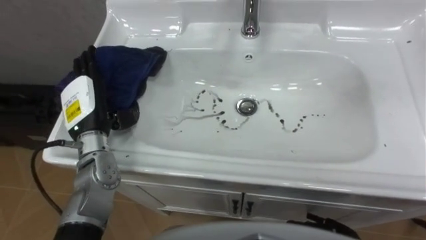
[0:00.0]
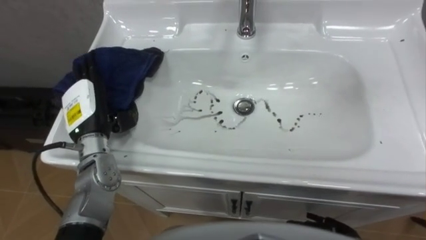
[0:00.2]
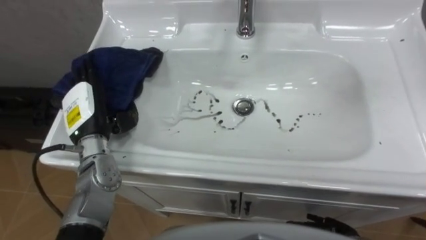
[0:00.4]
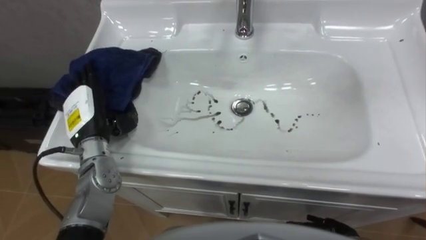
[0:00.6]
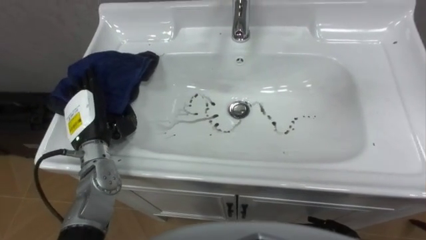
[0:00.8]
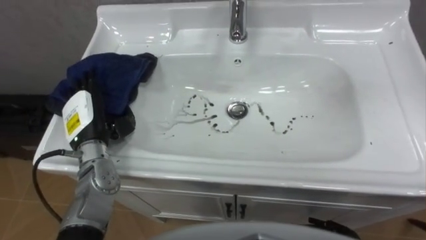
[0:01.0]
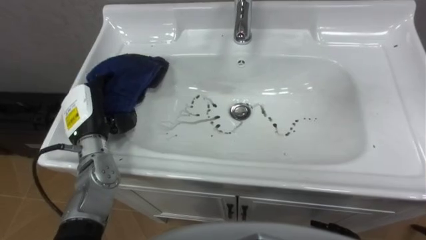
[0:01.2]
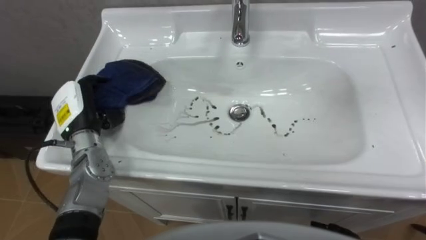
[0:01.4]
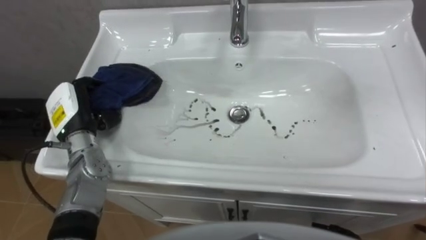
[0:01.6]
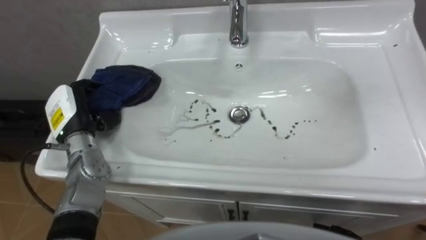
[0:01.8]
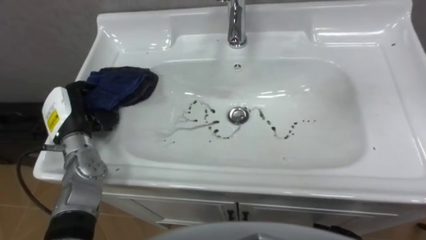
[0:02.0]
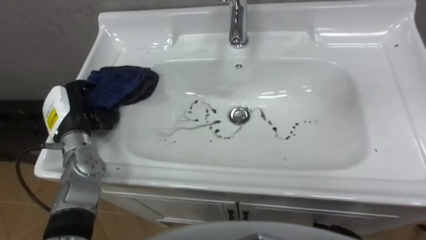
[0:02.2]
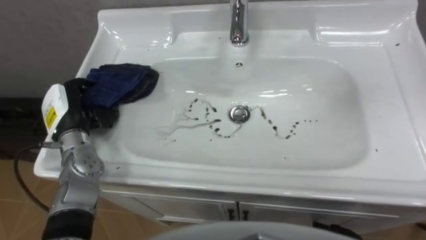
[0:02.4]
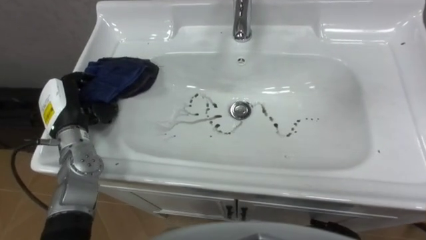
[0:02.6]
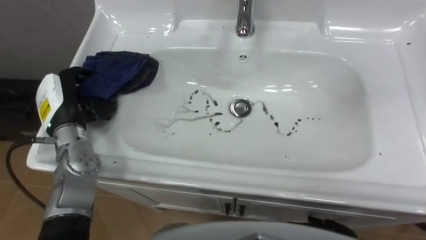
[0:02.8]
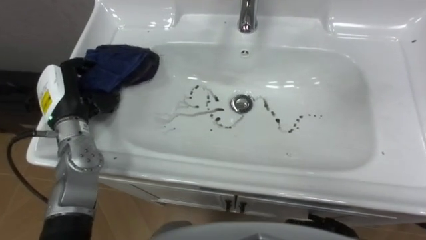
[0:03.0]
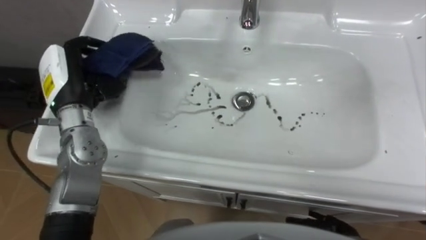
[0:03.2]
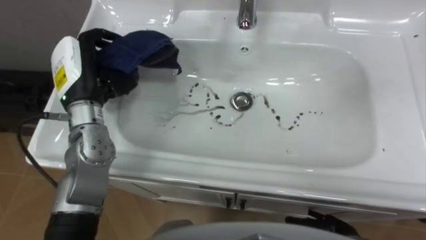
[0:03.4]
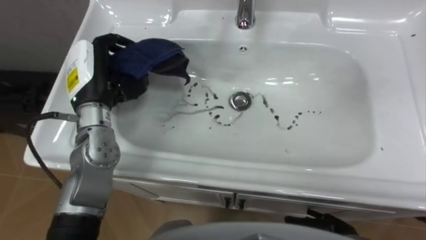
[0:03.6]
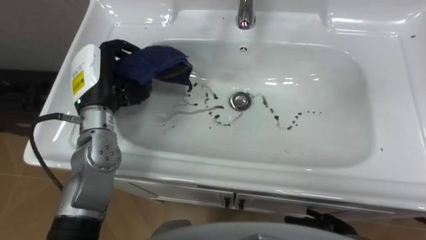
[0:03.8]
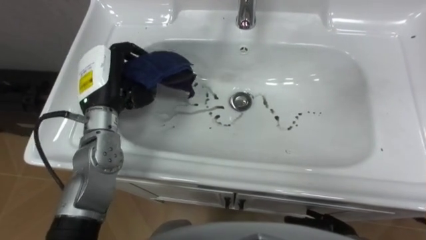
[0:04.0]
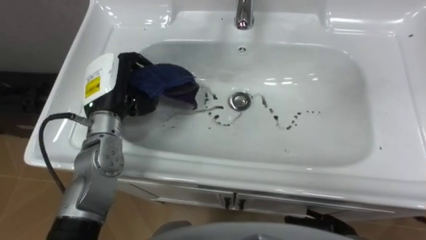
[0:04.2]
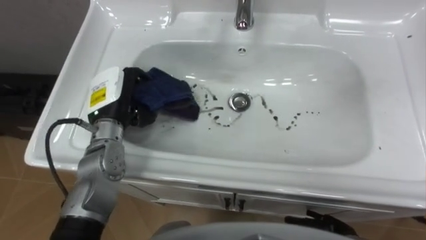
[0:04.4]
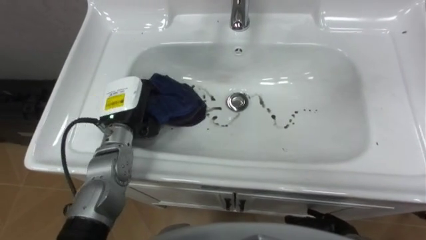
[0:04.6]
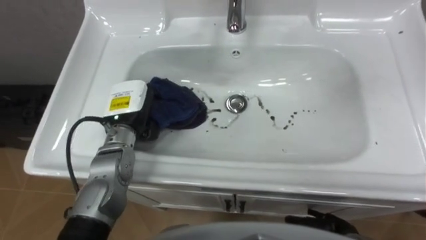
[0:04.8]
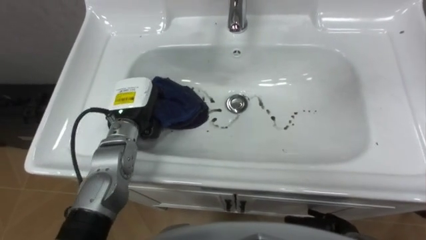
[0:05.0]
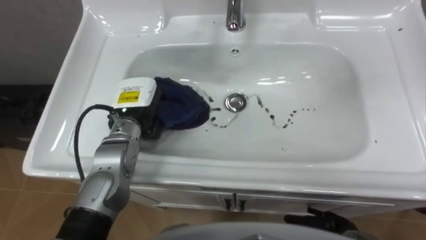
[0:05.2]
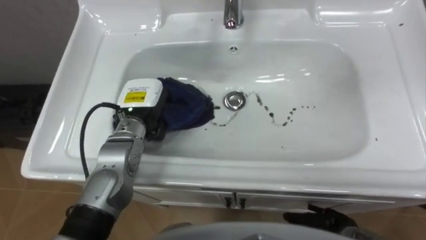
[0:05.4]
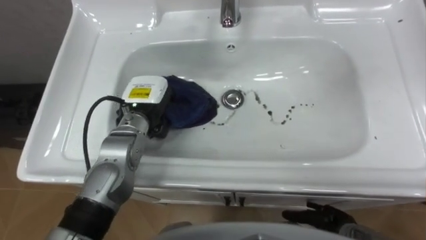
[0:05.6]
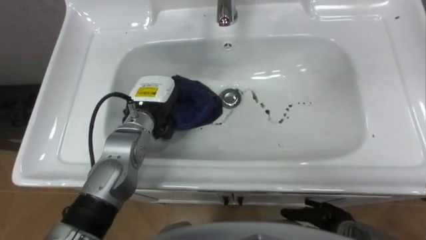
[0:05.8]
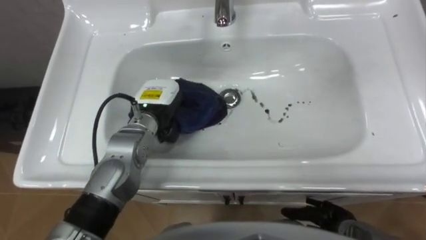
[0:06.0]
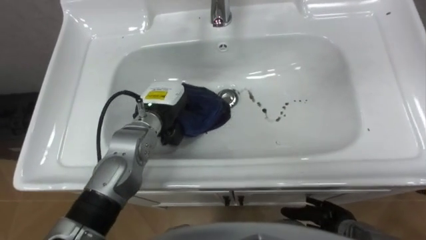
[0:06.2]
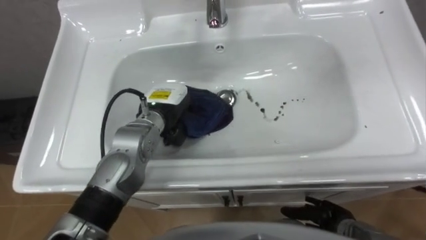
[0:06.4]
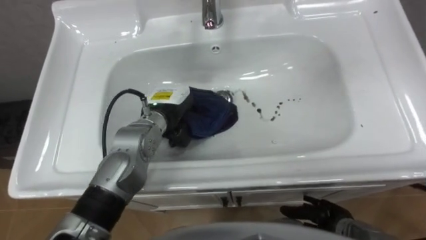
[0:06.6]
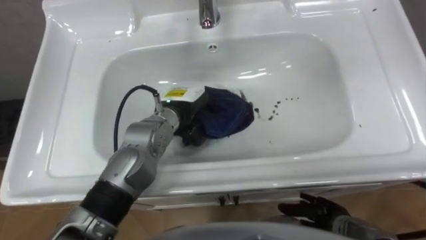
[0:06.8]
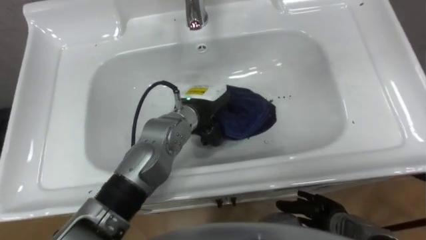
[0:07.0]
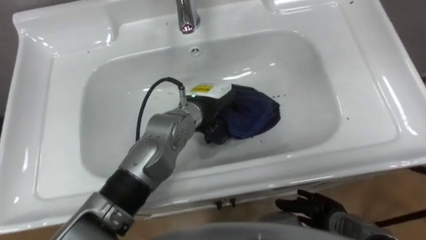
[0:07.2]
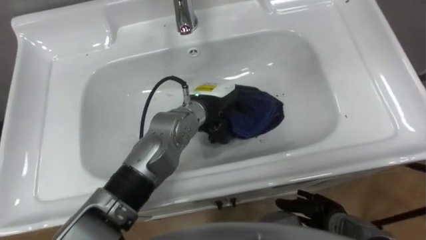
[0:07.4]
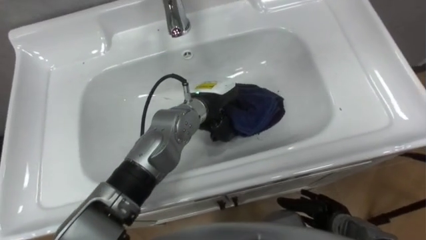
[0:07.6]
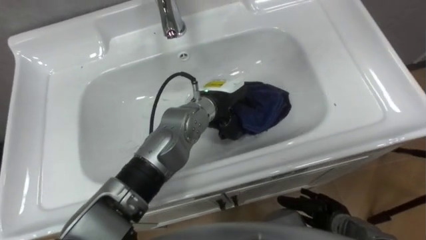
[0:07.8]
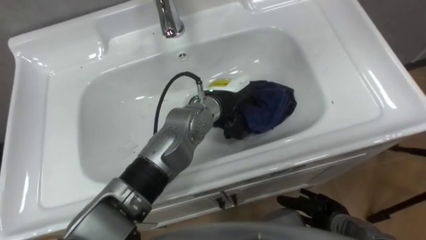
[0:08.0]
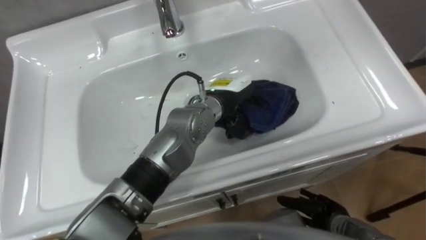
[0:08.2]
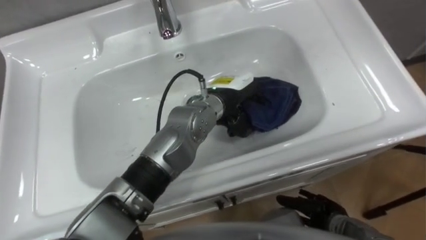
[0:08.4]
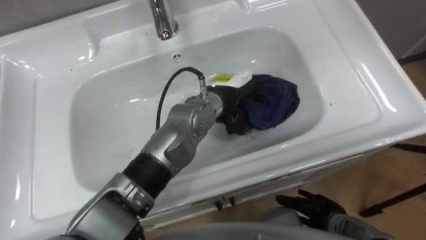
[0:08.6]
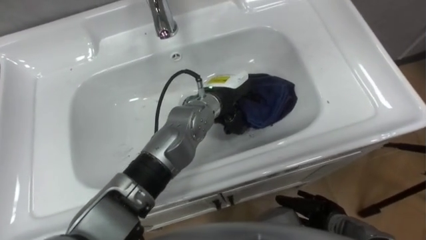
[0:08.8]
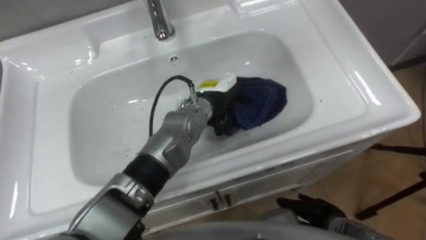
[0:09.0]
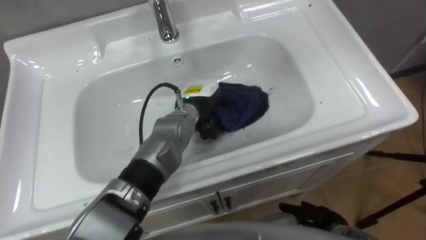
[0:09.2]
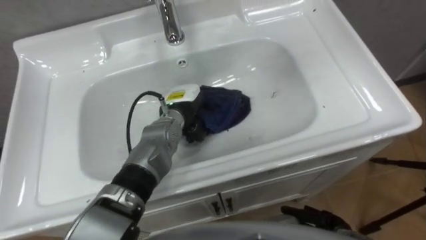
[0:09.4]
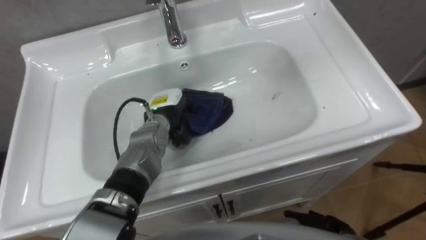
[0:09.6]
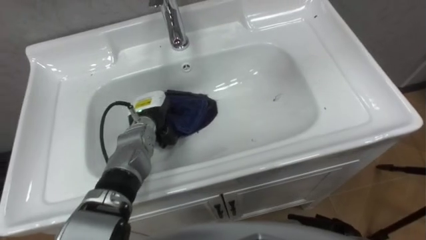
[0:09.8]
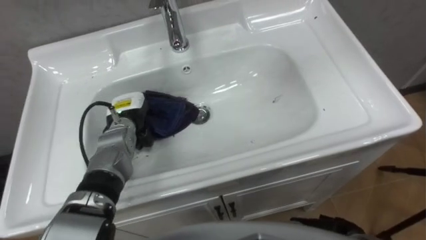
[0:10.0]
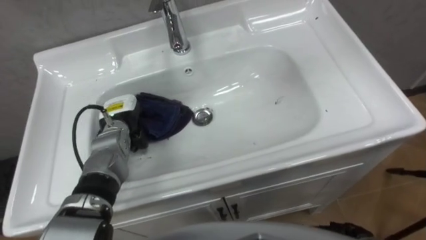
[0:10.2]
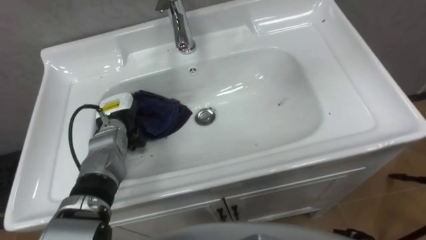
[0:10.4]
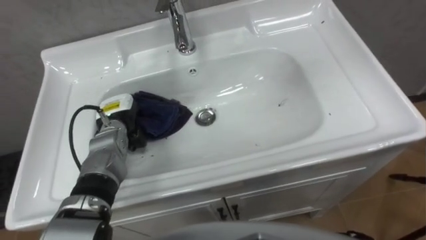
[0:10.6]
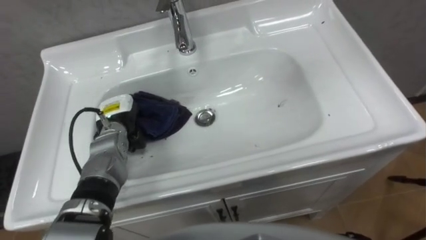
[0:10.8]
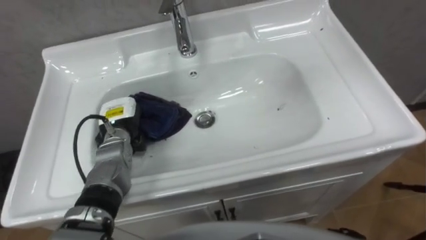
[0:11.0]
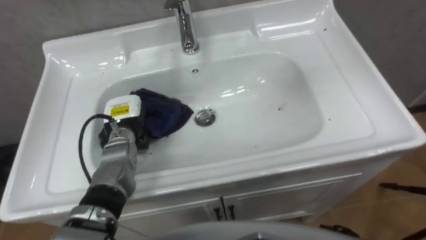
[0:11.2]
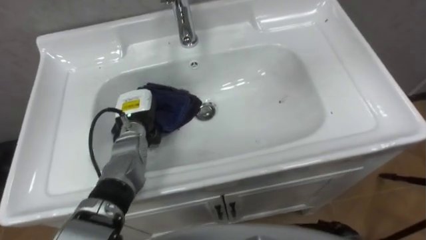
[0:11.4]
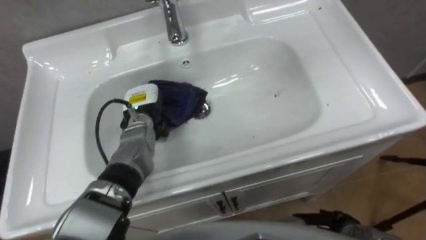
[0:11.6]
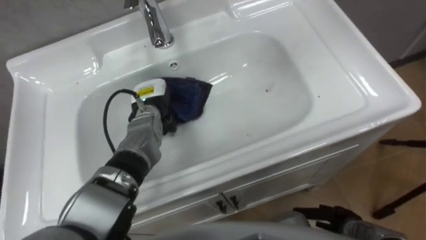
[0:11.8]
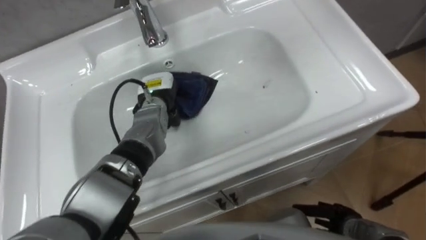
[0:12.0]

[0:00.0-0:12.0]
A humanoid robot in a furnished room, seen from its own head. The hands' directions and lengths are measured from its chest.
Task of the whole recording: Use the cloth on the right to wipe away the black stain in the sink.
0:00.0 to 0:01.6: The left hand closes its fingers.
0:01.6 to 0:03.0: The left hand ends up approximately 5 cm from where it was.
0:03.0 to 0:04.4: The left hand travels to the right by about 10 cm.
0:04.4 to 0:06.0: The left hand goes about 10 cm to the right.
0:06.0 to 0:07.6: The left hand is displaced to the right by some 10 cm.
0:09.0 to 0:10.4: The left hand is displaced to the left by roughly 20 cm.
0:10.4 to 0:12.0: The left hand heads to the right and forward, covering roughly 10 cm.

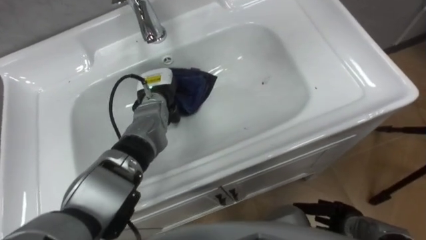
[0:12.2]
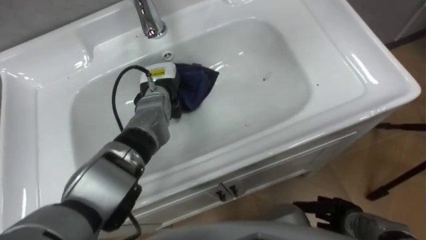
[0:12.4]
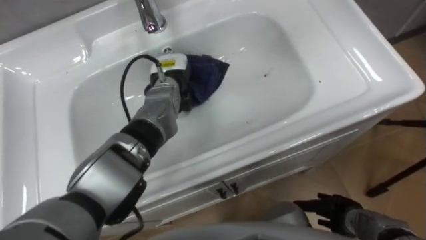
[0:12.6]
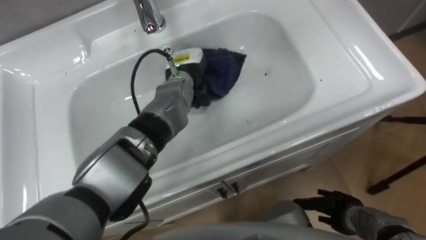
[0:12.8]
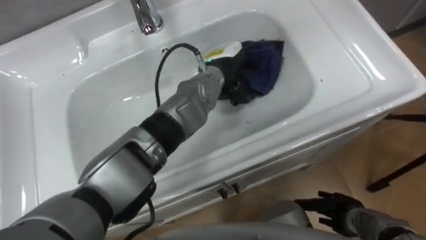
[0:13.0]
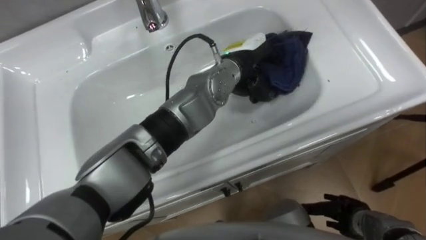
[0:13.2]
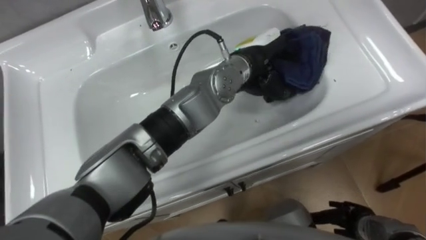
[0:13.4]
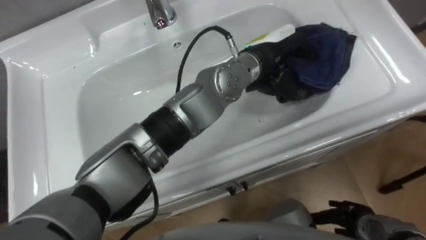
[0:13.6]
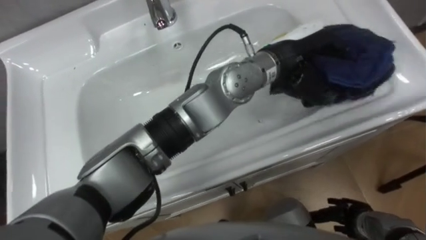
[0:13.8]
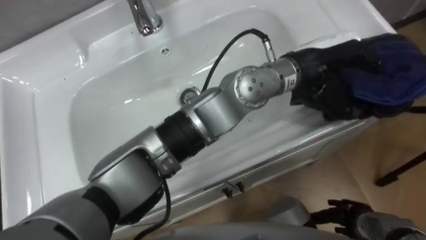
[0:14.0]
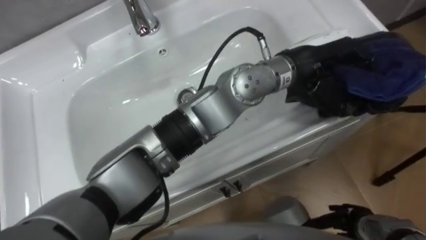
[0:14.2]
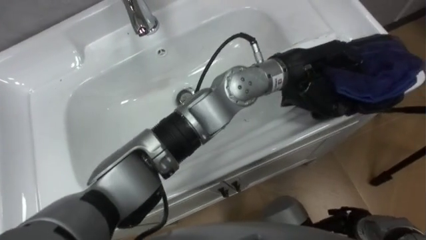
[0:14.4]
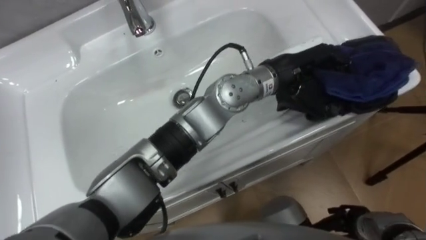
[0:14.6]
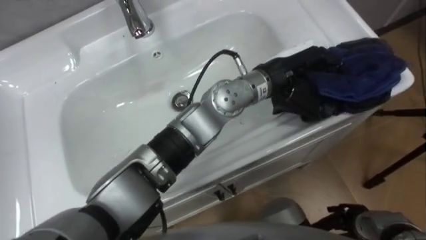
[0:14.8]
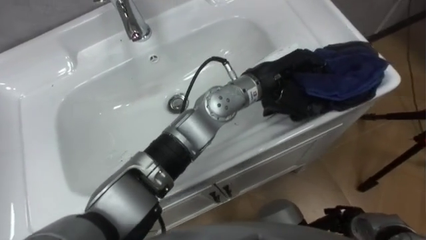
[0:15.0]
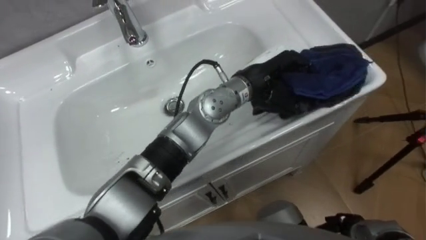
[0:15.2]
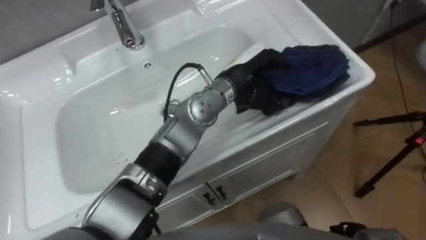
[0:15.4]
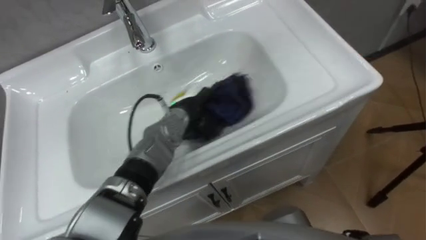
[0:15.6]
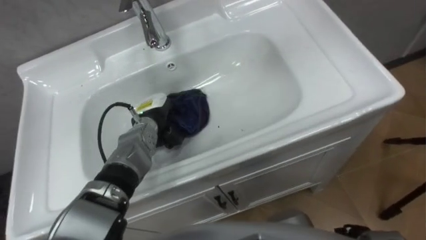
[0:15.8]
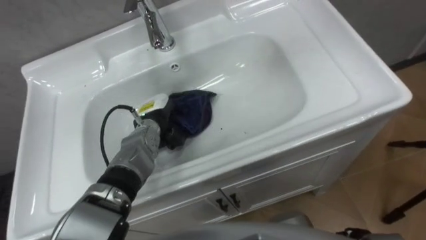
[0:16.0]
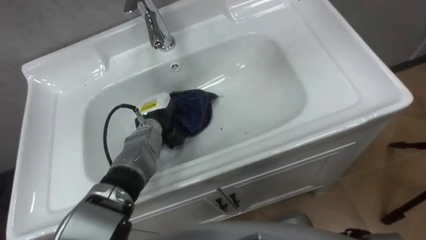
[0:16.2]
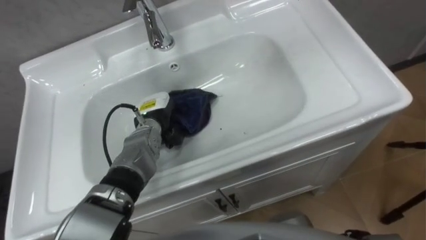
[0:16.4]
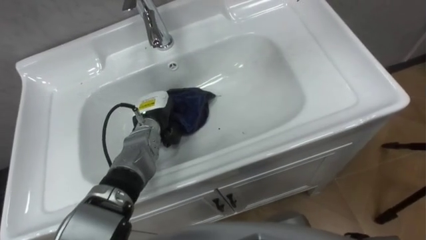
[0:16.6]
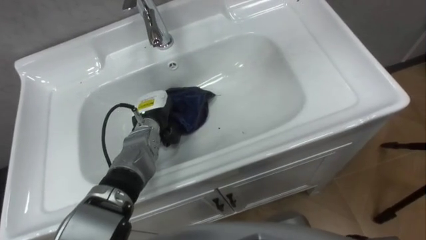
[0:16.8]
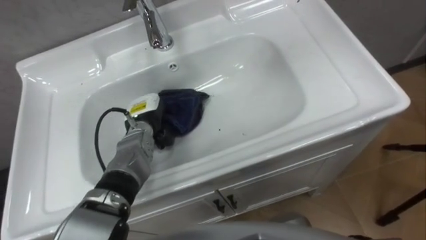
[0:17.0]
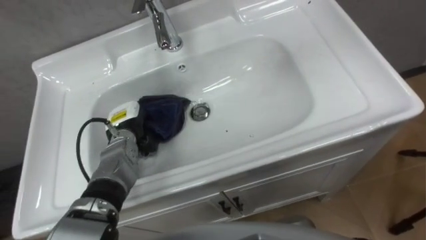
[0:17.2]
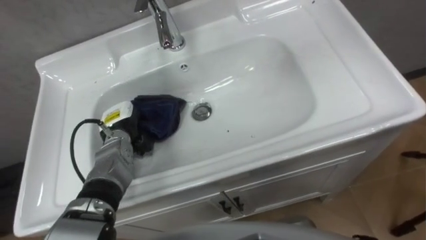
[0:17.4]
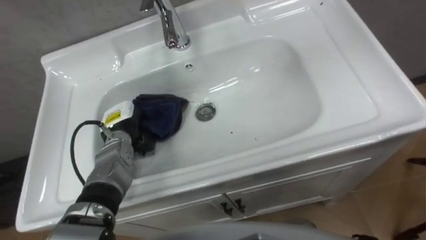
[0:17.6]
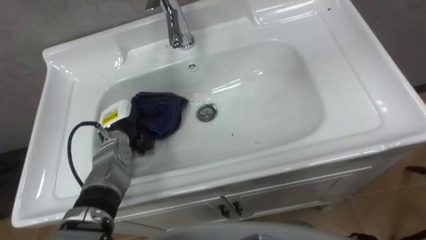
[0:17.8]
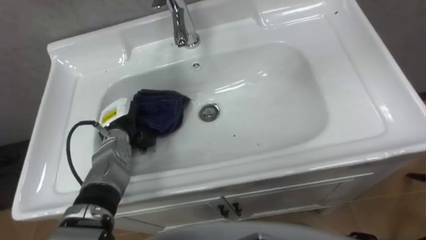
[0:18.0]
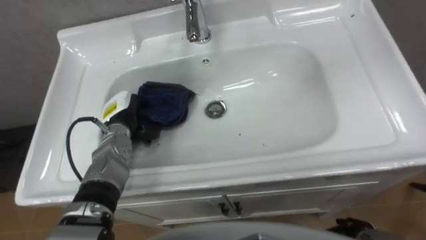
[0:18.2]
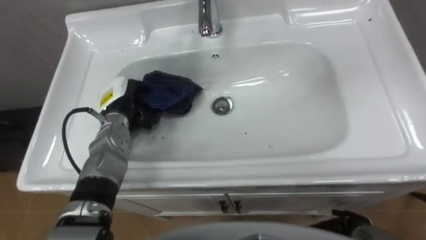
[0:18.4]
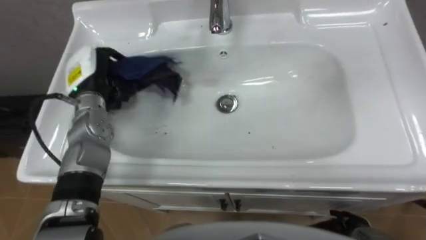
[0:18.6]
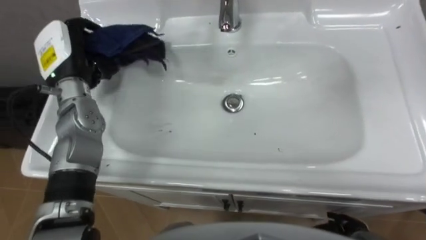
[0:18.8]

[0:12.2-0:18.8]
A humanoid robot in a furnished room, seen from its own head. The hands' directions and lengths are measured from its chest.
Task of the whole recording: Use the cloth on the right to wipe away the black stain in the sink.
0:12.2 to 0:13.8: The left hand heads to the right and upward, covering about 30 cm.
0:13.8 to 0:15.4: The left hand shifts about 10 cm downward and to the left.
0:15.4 to 0:17.2: The left hand goes about 30 cm to the left and downward.
0:17.2 to 0:18.8: The left hand is displaced upward by some 20 cm.
